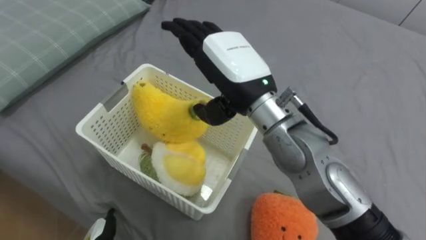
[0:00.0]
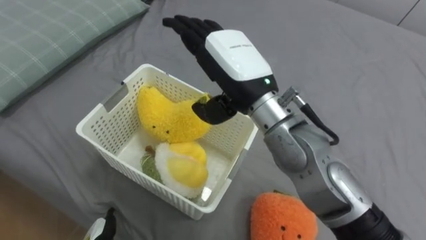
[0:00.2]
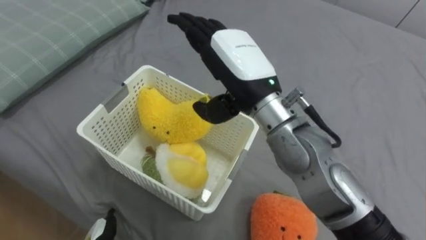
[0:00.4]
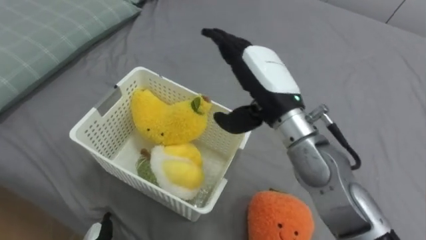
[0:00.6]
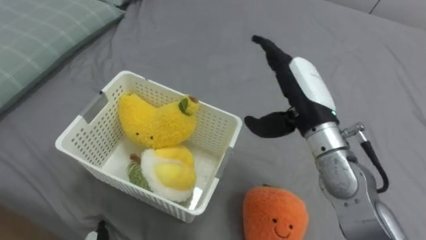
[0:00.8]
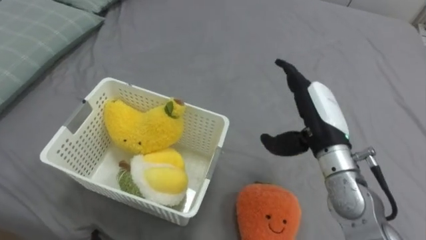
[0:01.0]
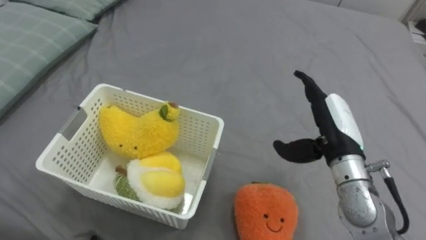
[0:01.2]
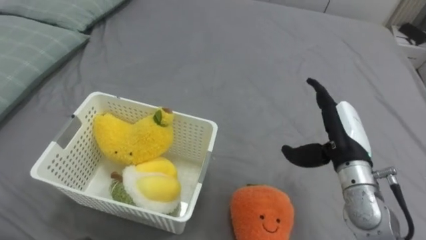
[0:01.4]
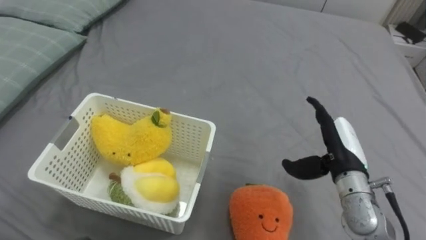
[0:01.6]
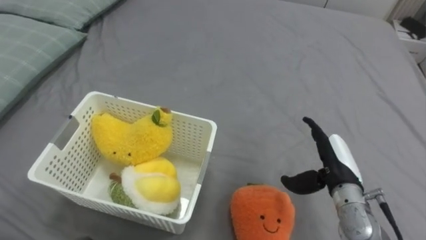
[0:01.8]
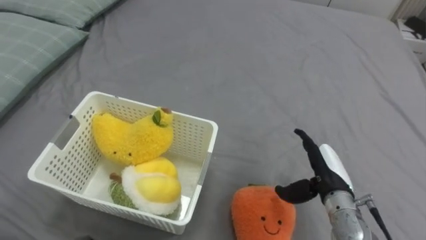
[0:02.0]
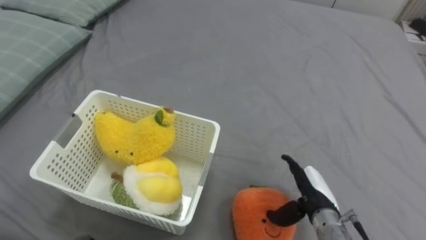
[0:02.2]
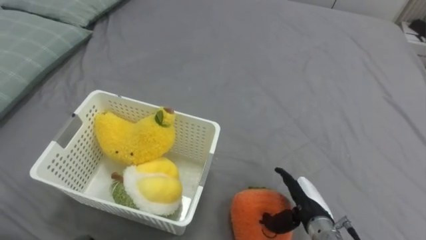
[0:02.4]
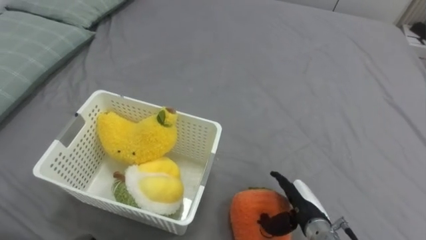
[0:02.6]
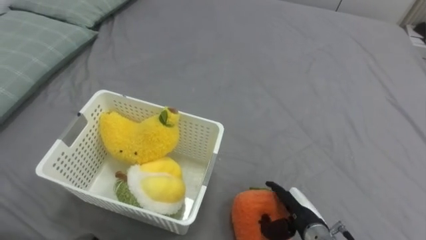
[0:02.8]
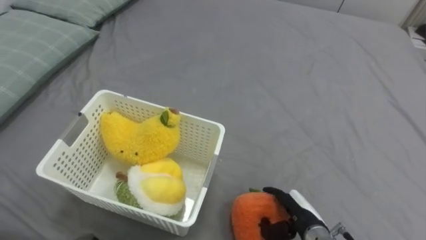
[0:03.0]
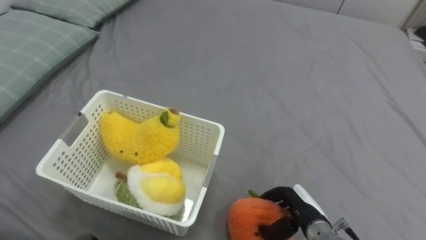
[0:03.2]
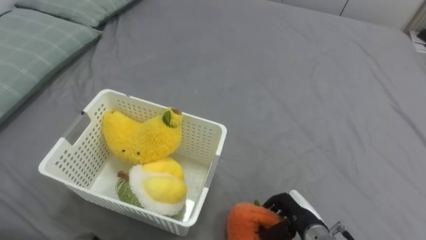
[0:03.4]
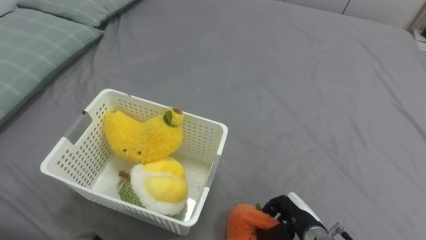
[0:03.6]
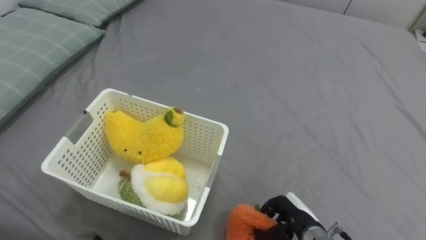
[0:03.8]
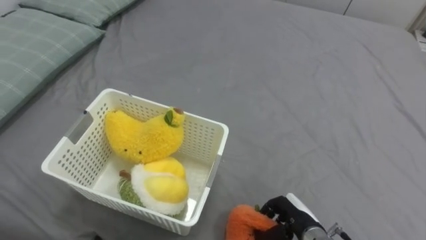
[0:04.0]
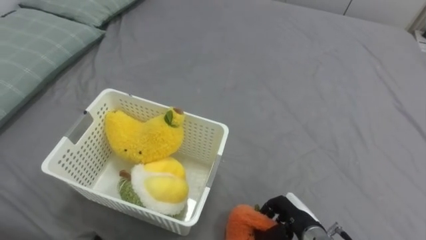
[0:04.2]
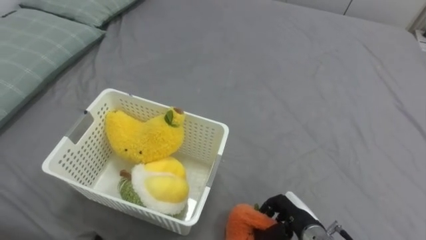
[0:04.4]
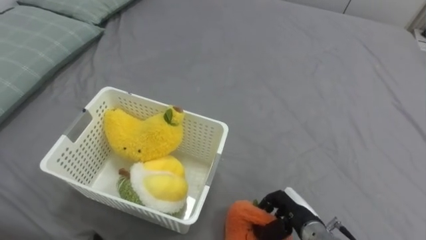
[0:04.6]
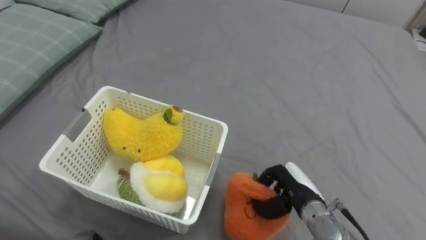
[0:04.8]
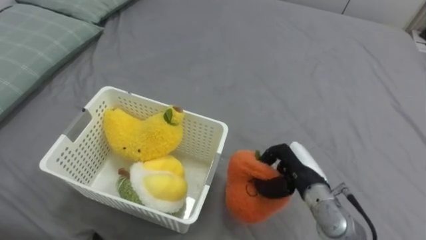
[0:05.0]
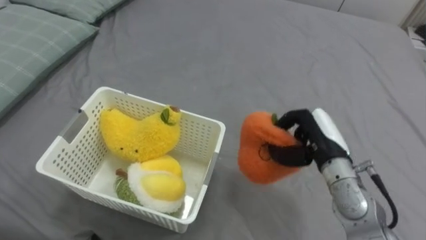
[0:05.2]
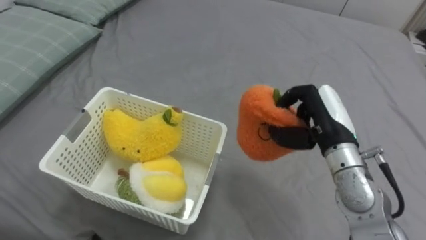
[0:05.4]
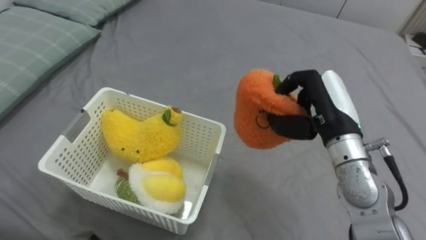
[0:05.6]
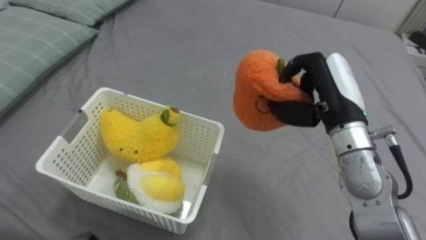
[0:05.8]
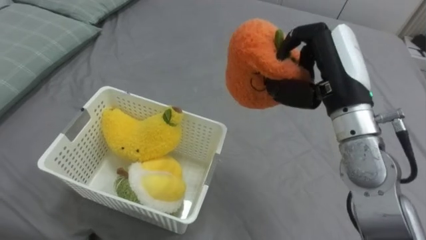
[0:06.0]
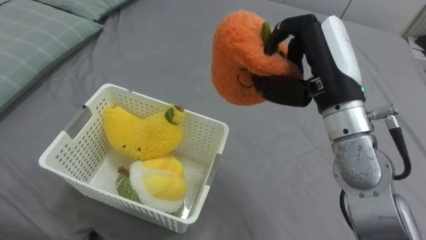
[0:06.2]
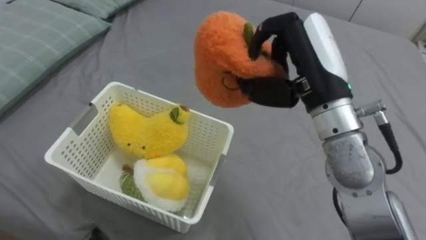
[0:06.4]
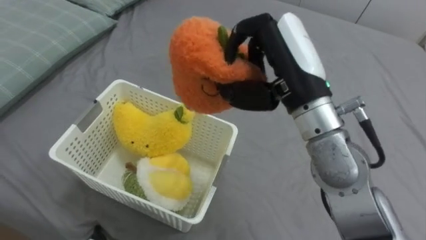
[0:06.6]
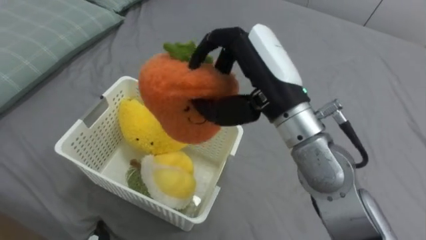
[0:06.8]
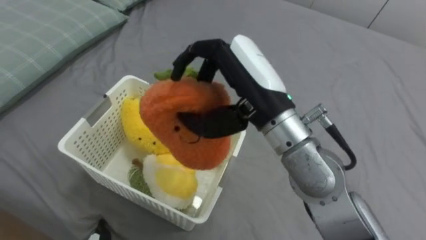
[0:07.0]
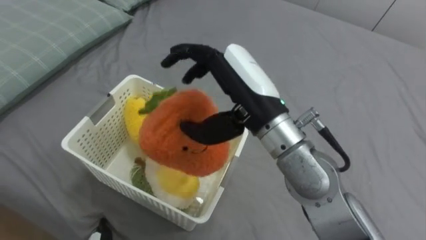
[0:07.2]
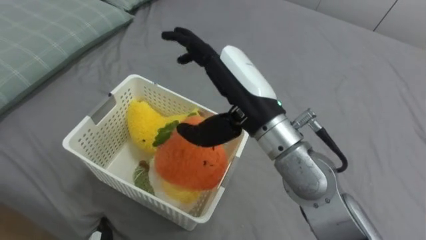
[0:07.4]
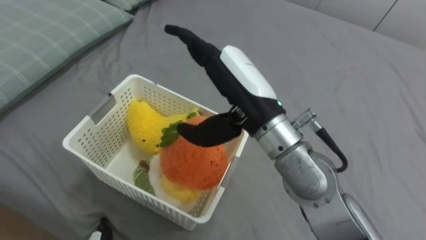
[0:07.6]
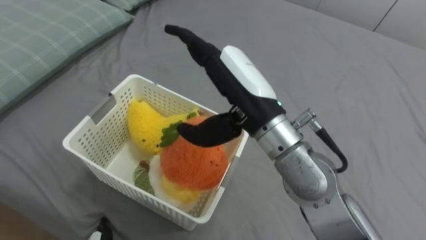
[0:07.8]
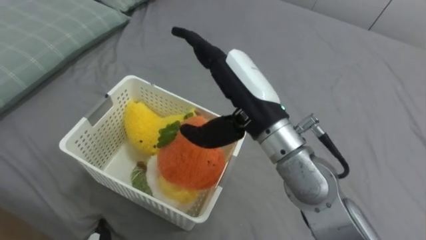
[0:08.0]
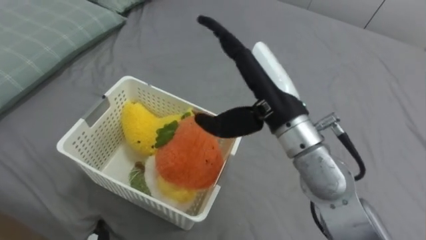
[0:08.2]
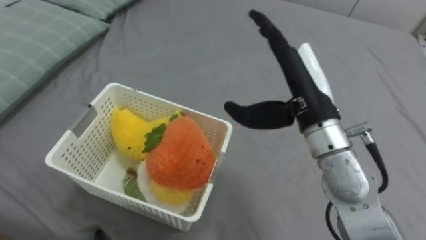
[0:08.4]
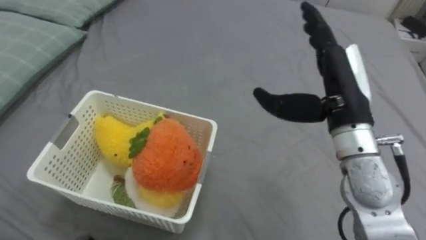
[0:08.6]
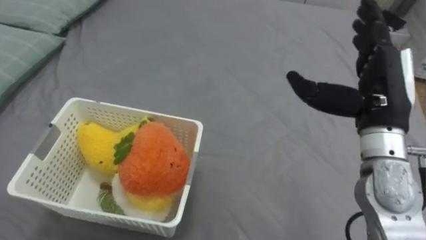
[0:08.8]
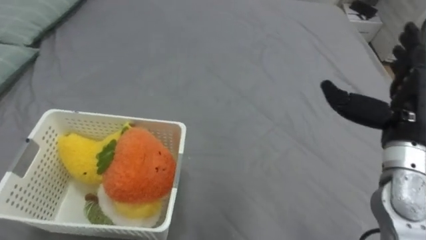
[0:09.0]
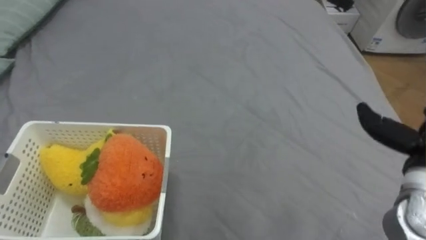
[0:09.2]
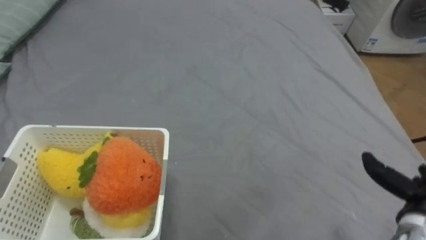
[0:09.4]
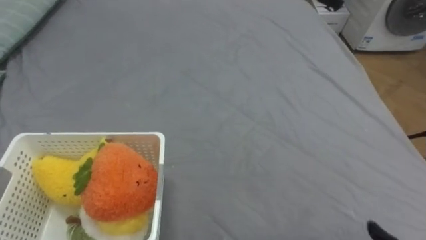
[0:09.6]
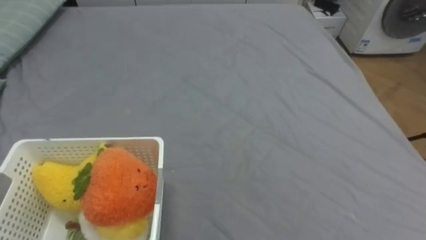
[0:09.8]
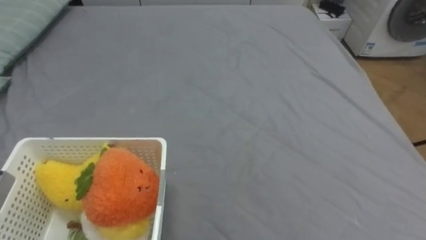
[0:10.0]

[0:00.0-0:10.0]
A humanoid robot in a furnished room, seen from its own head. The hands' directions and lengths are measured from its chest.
Task of the whole recording: Put the toys on the bed into the basket on the left.
0:00.0 to 0:01.4: The right hand goes about 25 cm to the right and downward.
0:01.4 to 0:02.8: The right hand heads downward and backward, covering approximately 20 cm.
0:02.8 to 0:04.2: The right hand closes.
0:04.2 to 0:05.8: The right hand shifts approximately 25 cm upward.
0:05.8 to 0:07.2: The right hand shifts roughly 15 cm to the left, and opens its fingers.
0:07.2 to 0:08.6: The right hand is displaced to the right by some 15 cm.

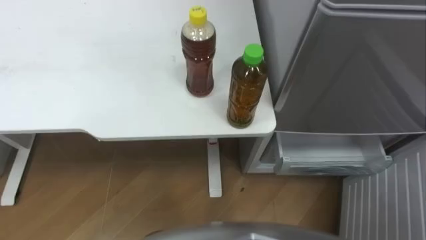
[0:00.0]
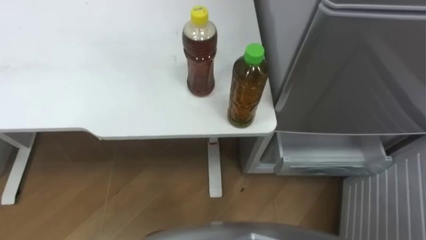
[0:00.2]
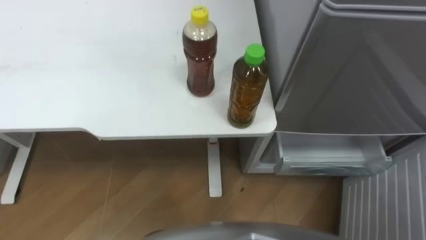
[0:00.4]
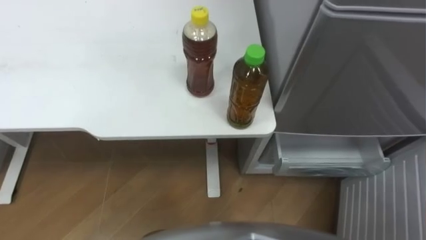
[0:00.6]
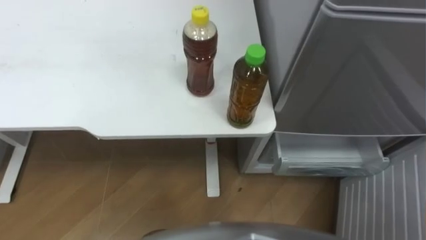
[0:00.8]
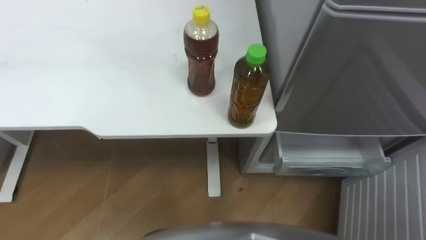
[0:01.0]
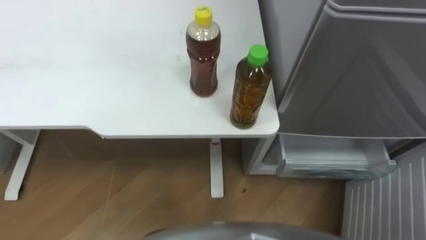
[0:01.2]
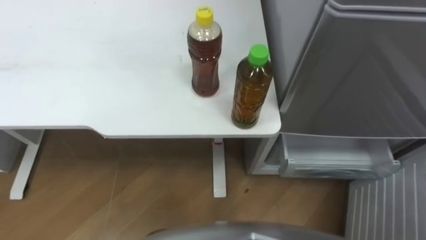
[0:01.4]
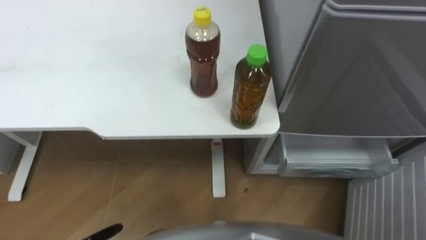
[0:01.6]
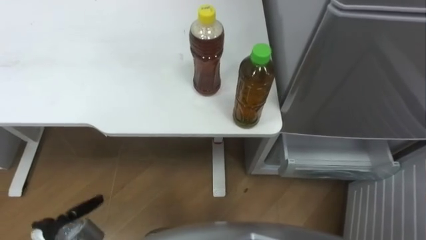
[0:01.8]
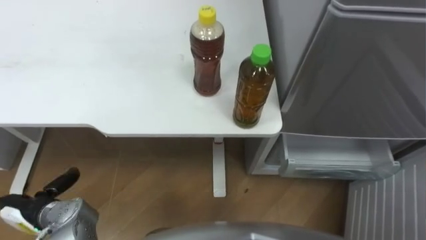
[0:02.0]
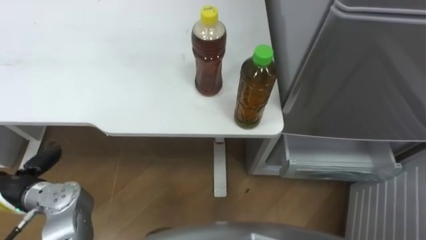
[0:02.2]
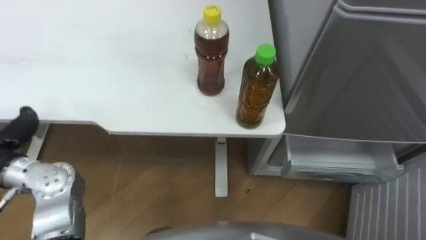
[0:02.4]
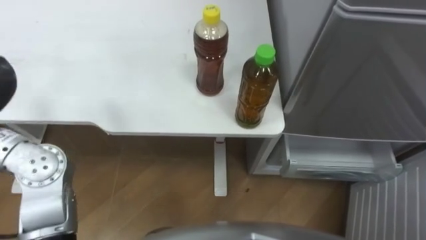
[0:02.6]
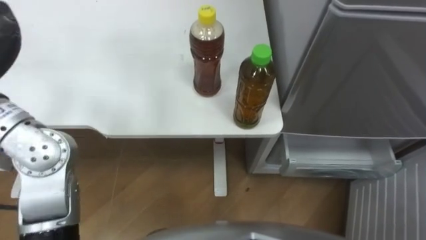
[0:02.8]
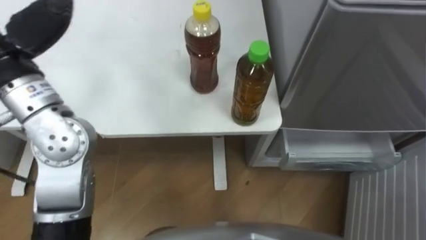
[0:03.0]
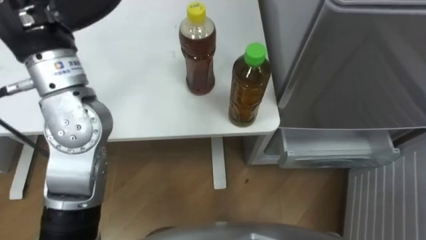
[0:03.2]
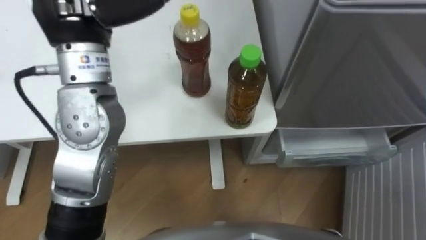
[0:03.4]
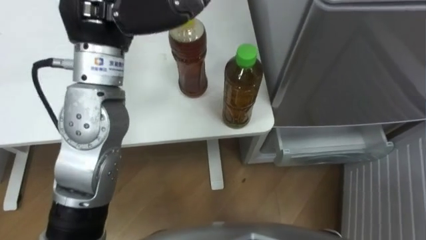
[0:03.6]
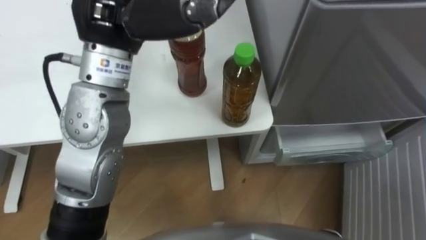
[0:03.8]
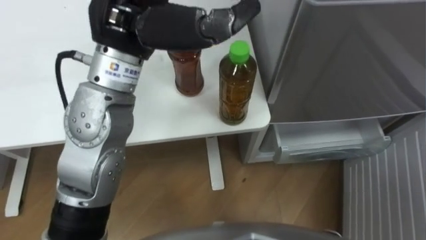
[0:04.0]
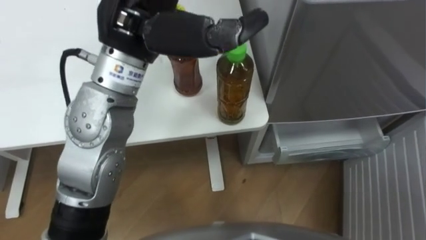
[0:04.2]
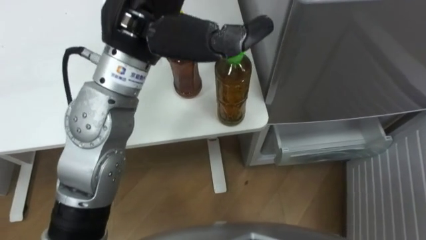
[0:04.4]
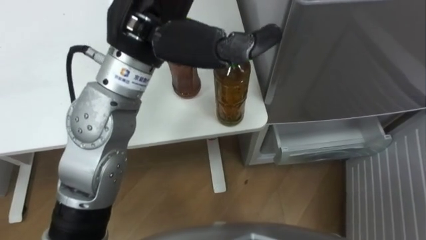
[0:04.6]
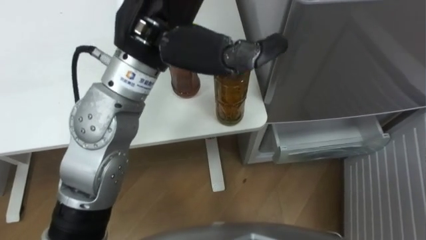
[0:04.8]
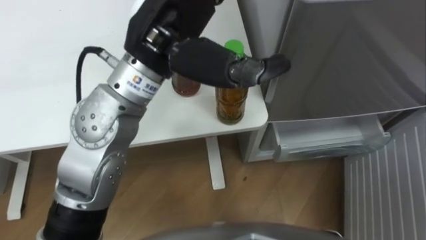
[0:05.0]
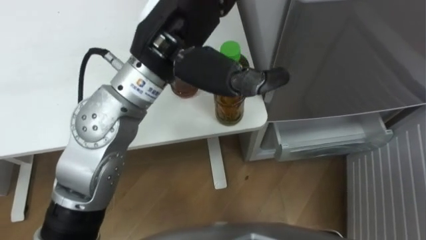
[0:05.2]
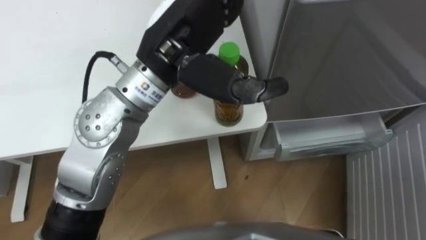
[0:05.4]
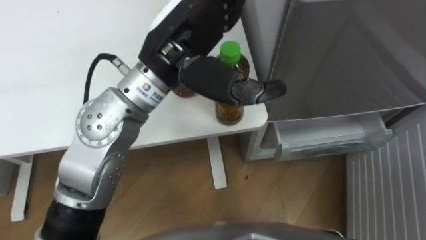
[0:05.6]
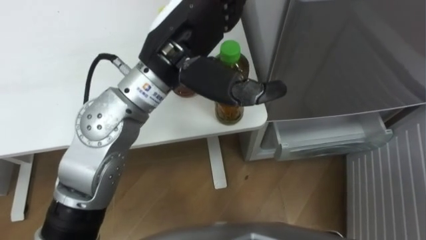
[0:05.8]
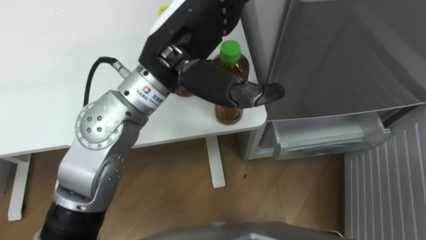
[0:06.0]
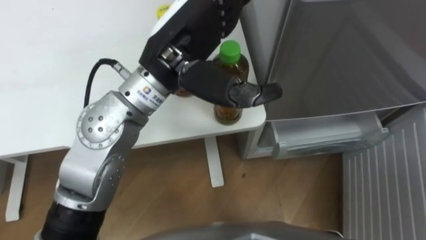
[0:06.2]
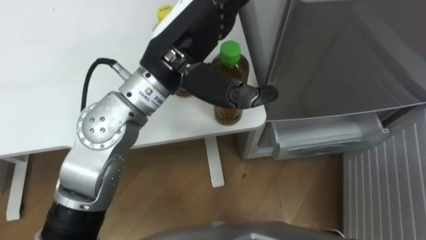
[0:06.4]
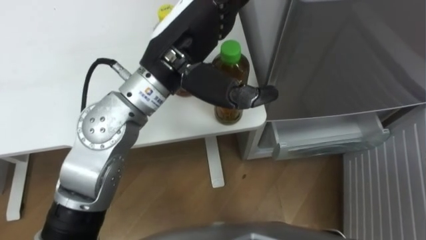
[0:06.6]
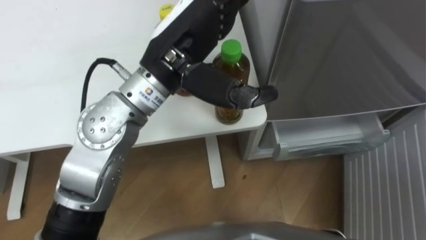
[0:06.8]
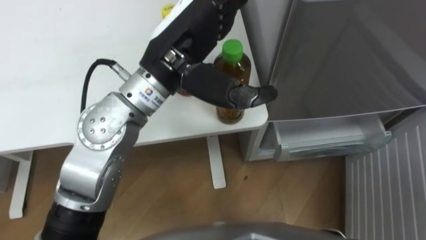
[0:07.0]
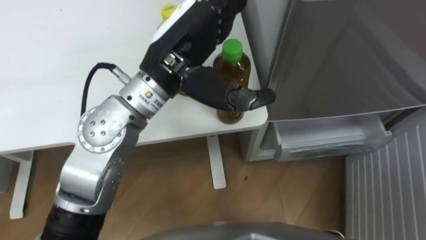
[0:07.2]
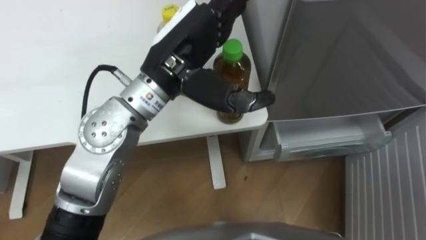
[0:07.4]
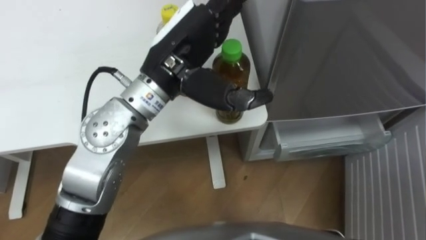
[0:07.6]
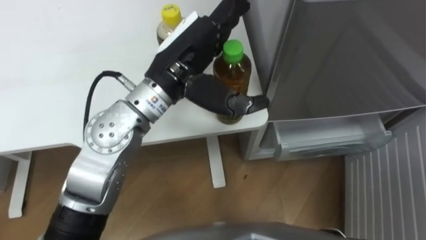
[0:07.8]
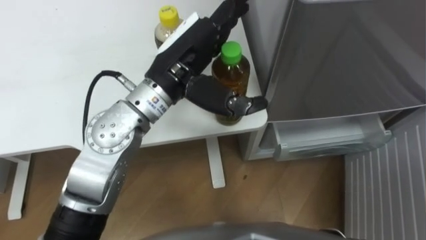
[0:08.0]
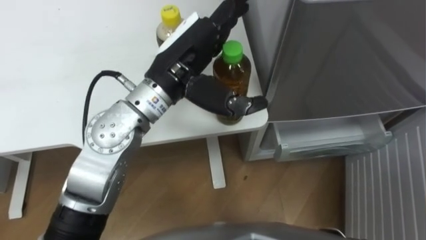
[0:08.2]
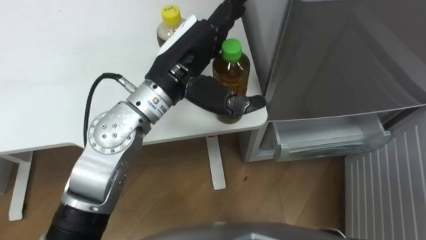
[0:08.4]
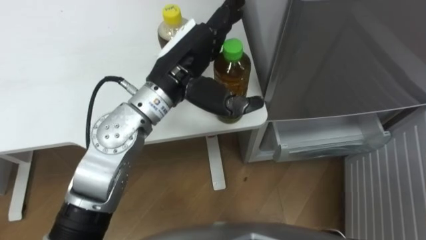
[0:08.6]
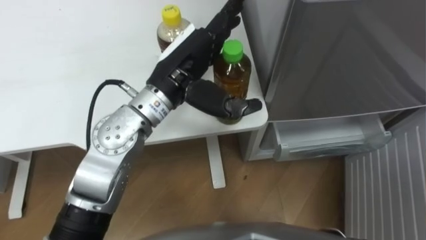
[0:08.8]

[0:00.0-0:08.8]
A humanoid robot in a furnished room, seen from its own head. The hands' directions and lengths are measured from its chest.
Task of the whole recording: Place the drink on the table on the bottom shelf of the refrigerator, then close the drawer and the refrigerator door.
0:04.4 to 0:05.8: The left hand ends up some 5 cm from where it was.
0:07.4 to 0:08.8: The left hand travels downward by approximately 5 cm.
